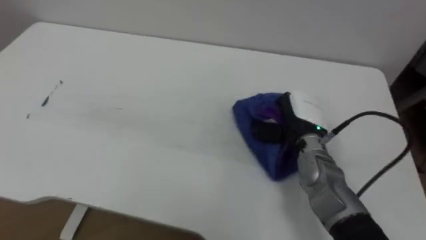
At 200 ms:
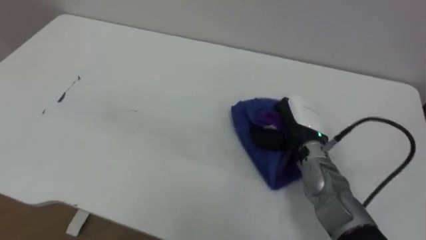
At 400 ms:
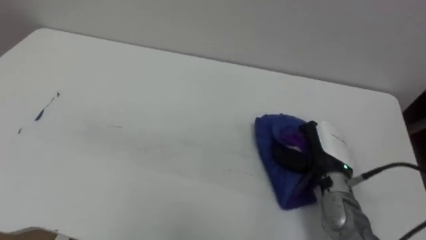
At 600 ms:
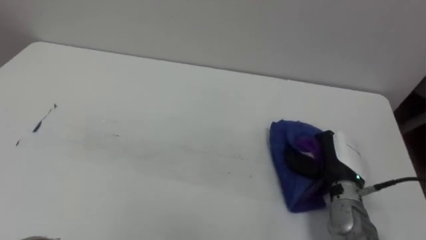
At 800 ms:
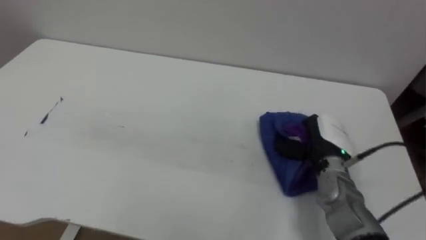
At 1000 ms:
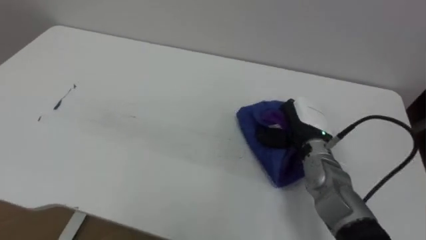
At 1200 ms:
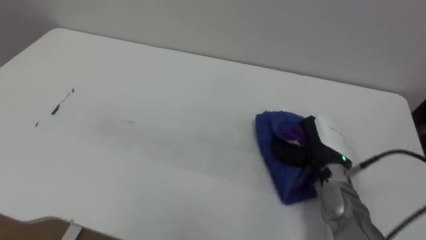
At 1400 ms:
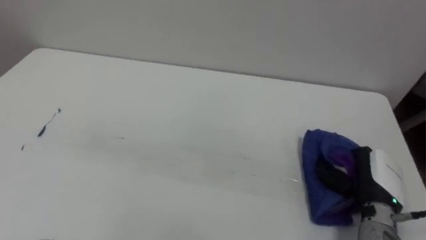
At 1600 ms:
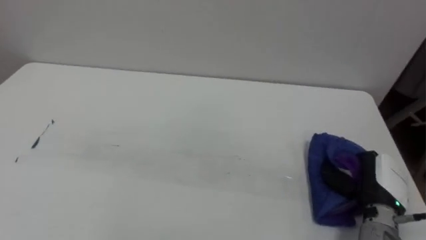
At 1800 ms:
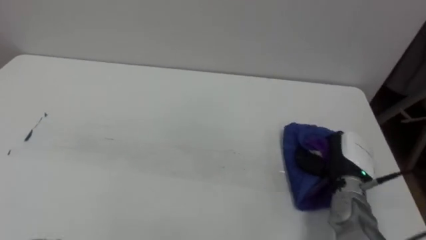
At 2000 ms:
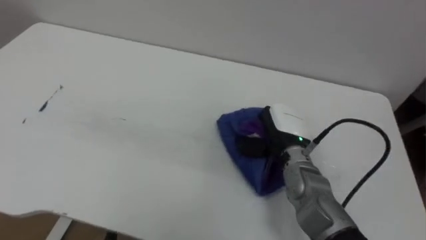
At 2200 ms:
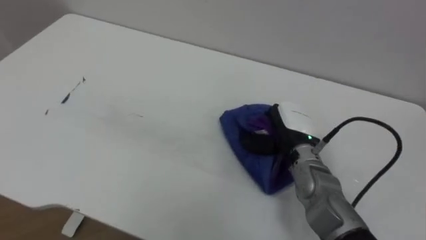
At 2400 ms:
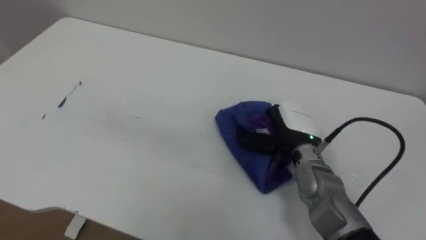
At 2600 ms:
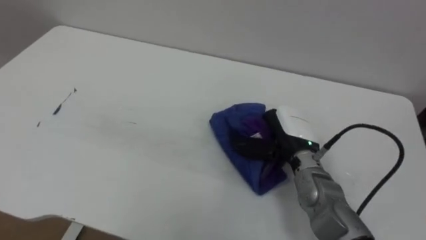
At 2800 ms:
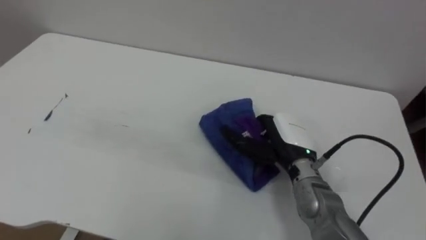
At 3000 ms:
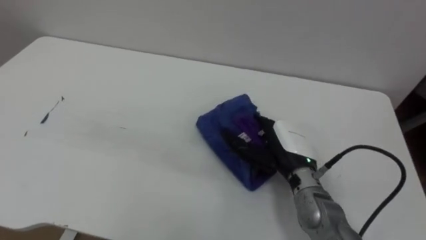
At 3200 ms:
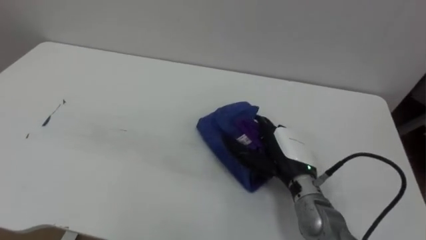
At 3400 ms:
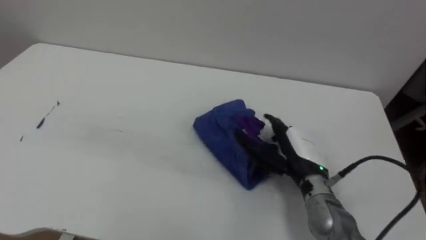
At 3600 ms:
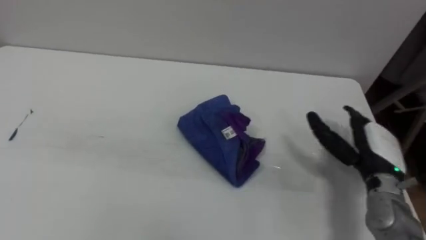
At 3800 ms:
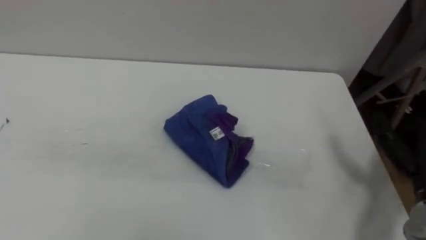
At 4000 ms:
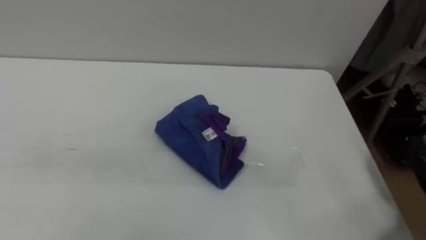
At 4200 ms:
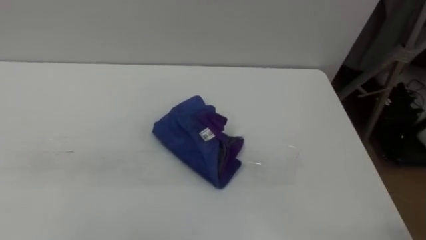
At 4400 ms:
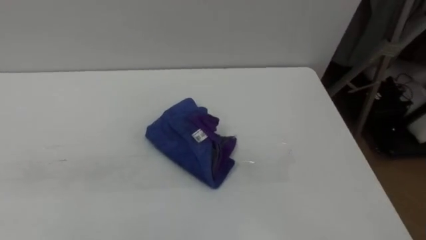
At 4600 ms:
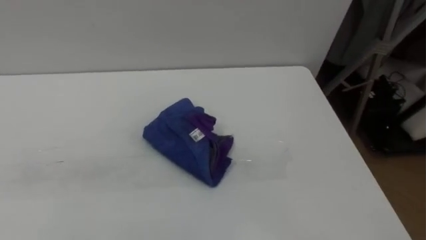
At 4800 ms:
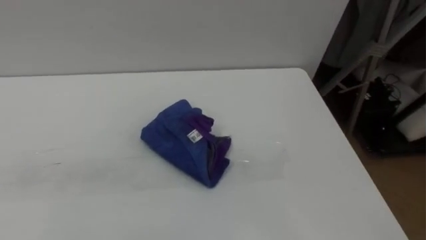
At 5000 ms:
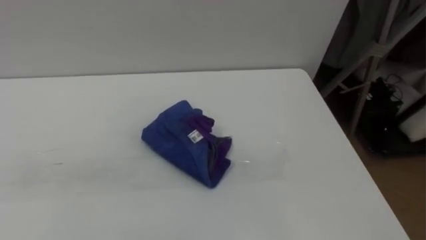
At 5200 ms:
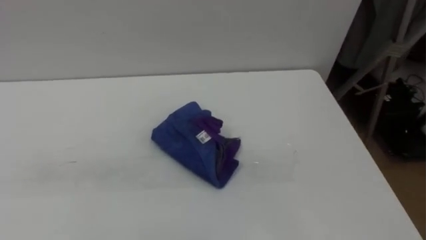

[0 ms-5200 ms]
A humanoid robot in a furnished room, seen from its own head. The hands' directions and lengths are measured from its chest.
Task of the whole recording: Wipe the blue pen marks off the table with the rag.
0 ms to 1800 ms: The right hand goes left and right, about 15 cm each way, reversing 3 times.
1800 ms to 3400 ms: The right hand moves to the left, approximately 10 cm, and opens its fingers.

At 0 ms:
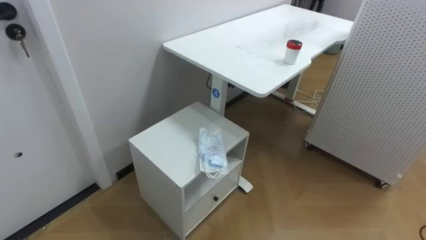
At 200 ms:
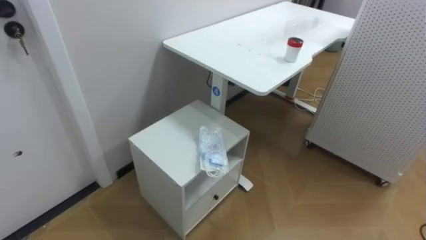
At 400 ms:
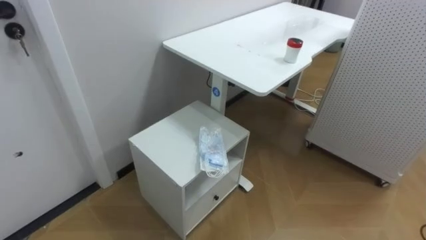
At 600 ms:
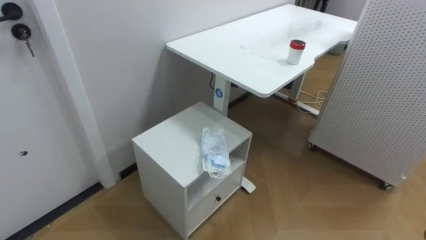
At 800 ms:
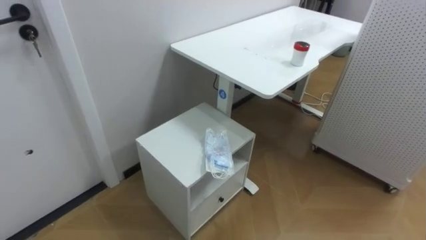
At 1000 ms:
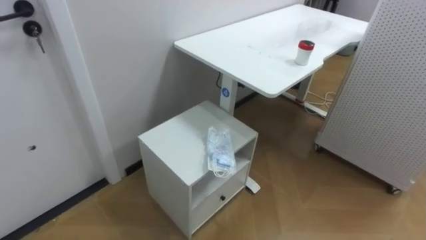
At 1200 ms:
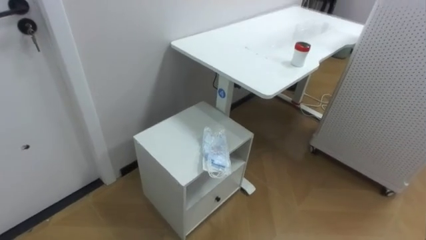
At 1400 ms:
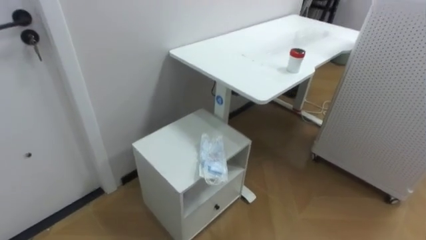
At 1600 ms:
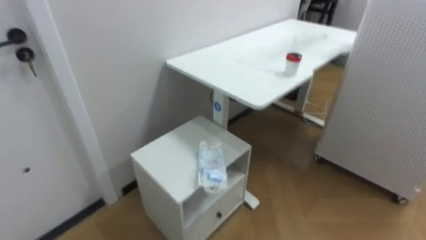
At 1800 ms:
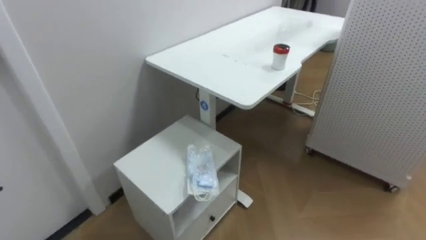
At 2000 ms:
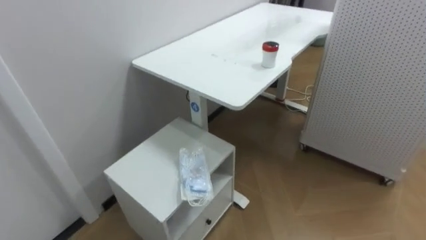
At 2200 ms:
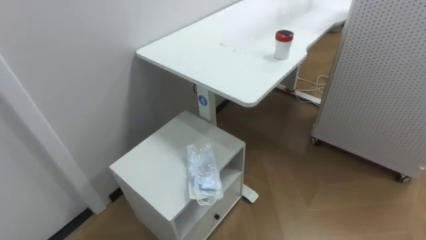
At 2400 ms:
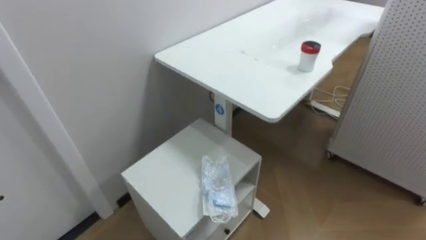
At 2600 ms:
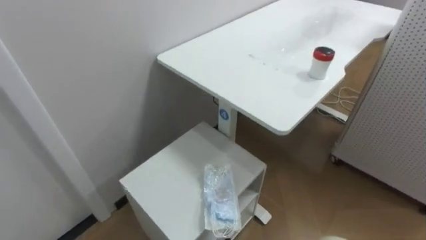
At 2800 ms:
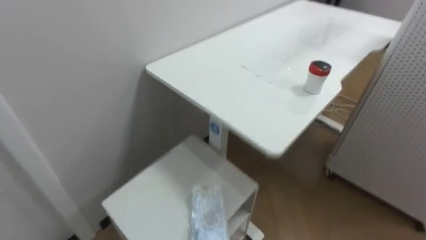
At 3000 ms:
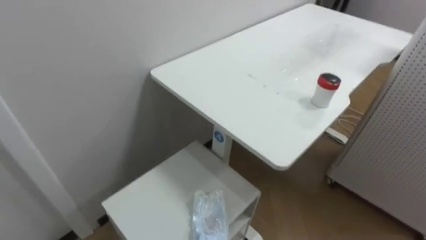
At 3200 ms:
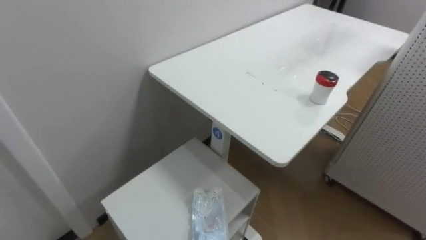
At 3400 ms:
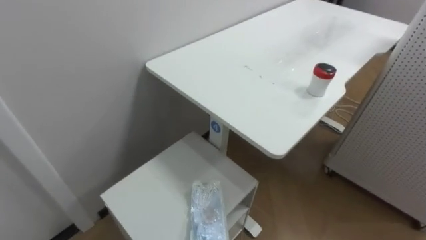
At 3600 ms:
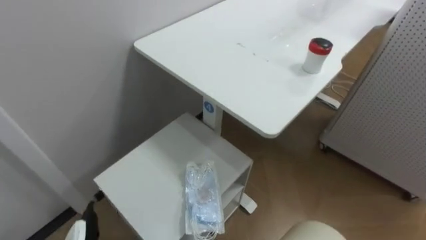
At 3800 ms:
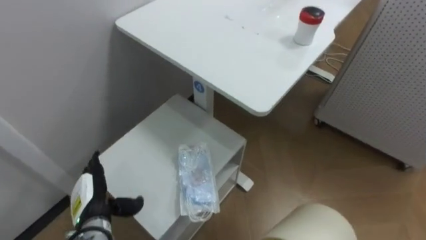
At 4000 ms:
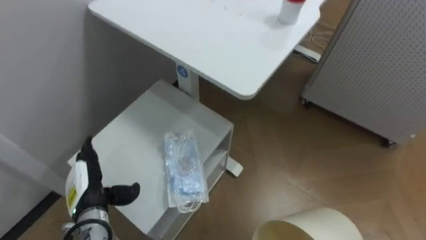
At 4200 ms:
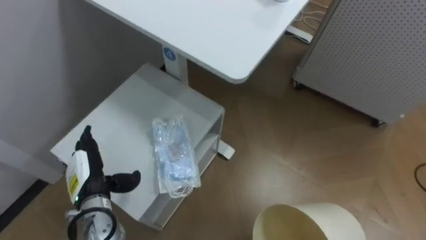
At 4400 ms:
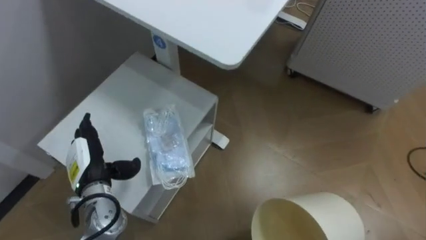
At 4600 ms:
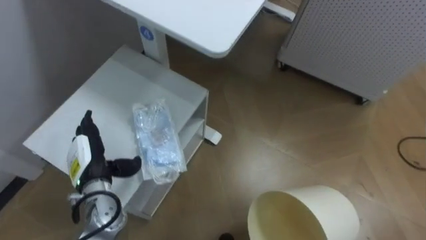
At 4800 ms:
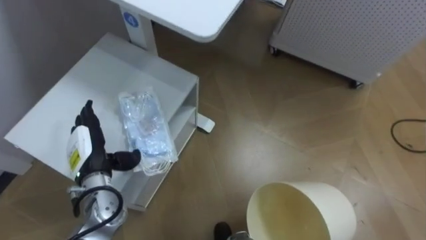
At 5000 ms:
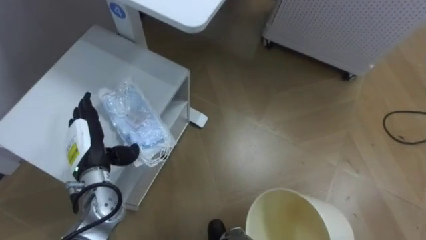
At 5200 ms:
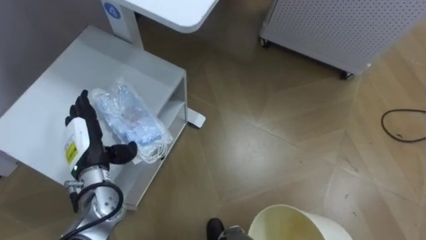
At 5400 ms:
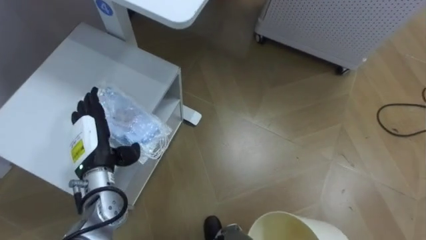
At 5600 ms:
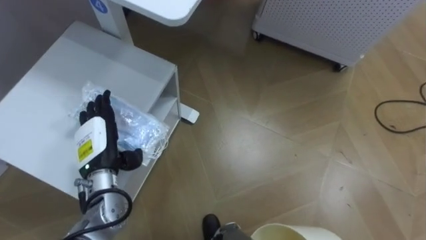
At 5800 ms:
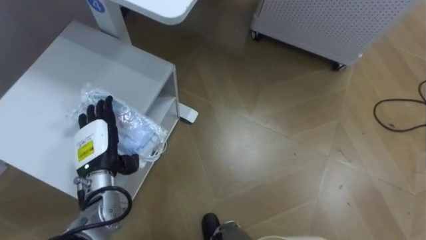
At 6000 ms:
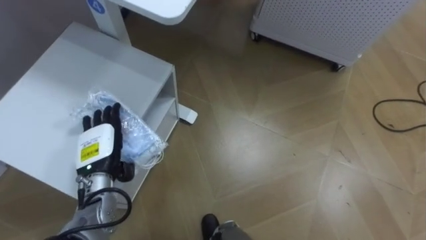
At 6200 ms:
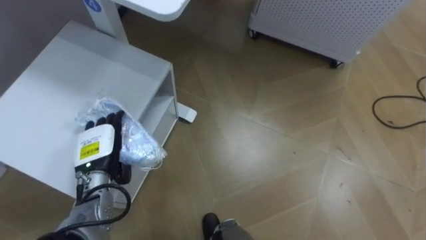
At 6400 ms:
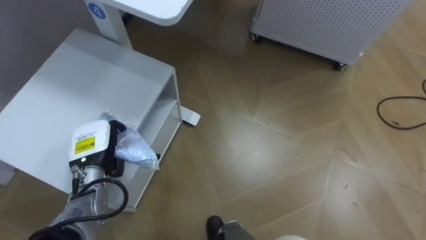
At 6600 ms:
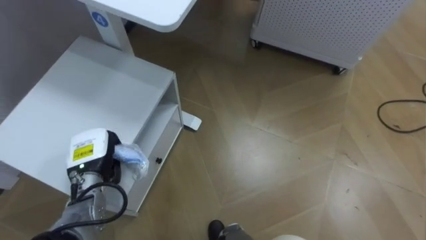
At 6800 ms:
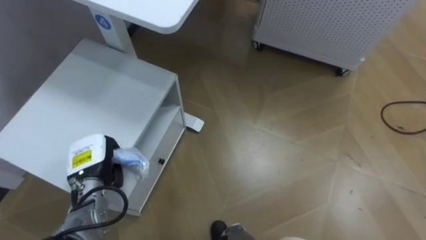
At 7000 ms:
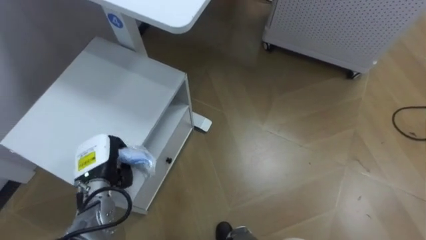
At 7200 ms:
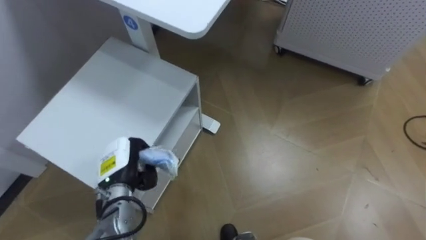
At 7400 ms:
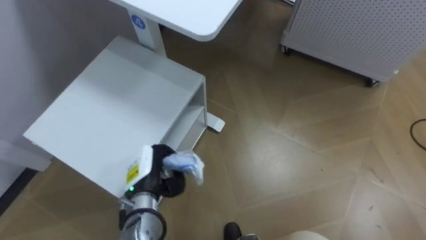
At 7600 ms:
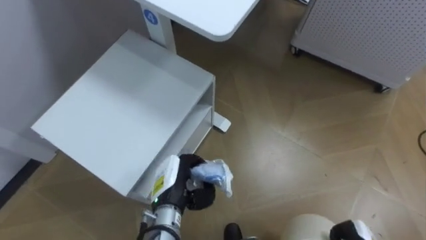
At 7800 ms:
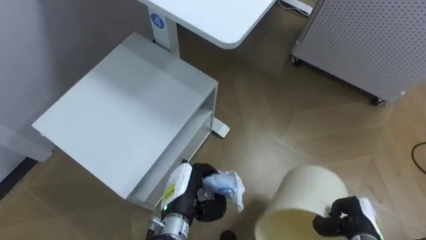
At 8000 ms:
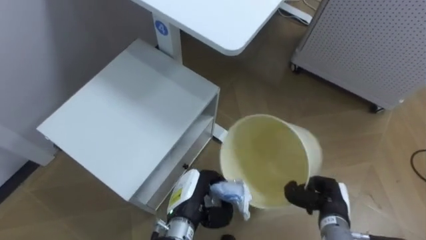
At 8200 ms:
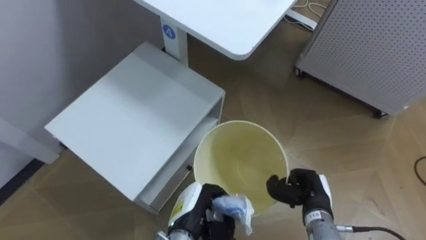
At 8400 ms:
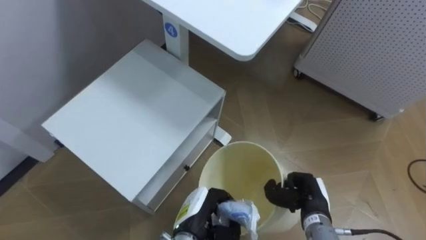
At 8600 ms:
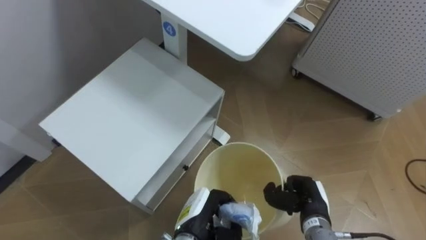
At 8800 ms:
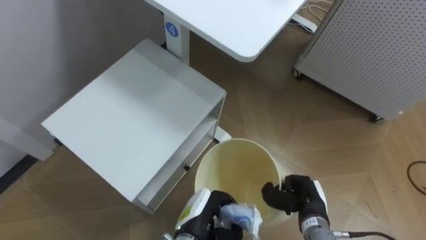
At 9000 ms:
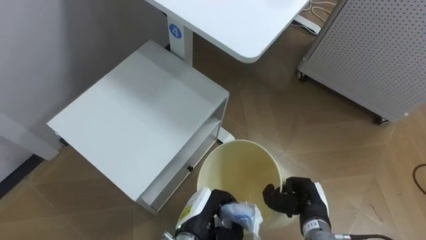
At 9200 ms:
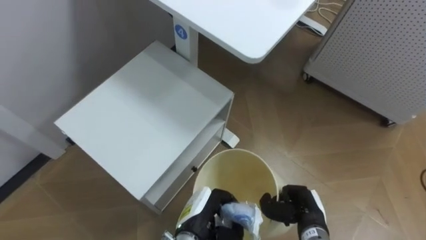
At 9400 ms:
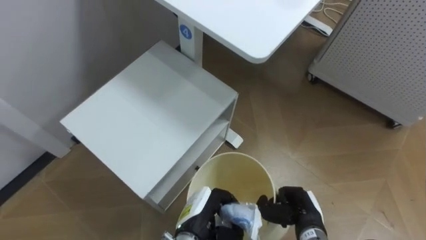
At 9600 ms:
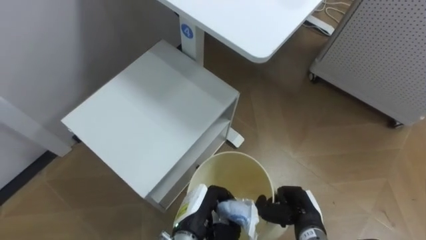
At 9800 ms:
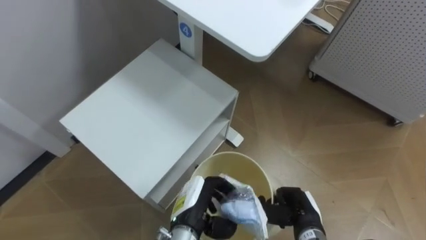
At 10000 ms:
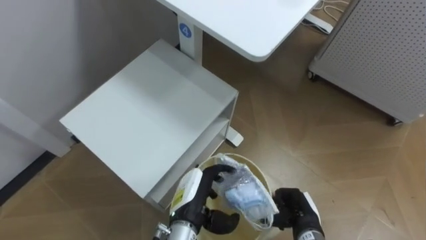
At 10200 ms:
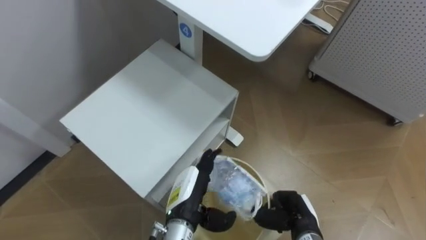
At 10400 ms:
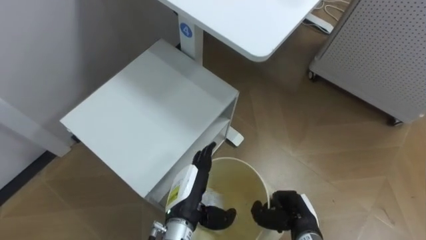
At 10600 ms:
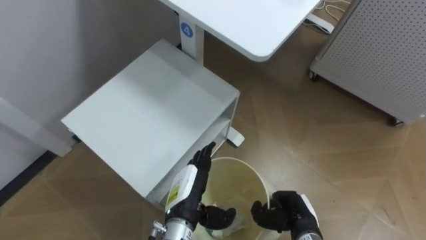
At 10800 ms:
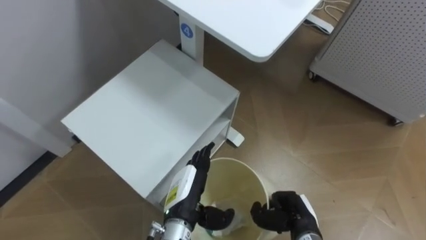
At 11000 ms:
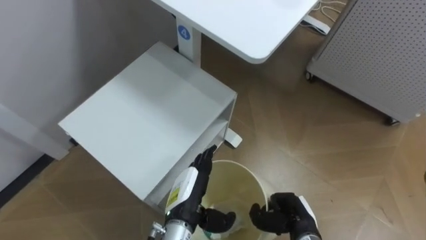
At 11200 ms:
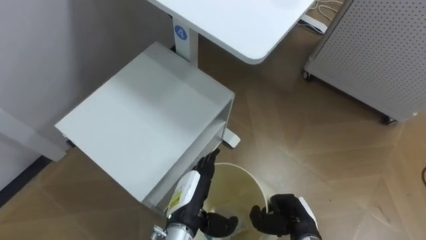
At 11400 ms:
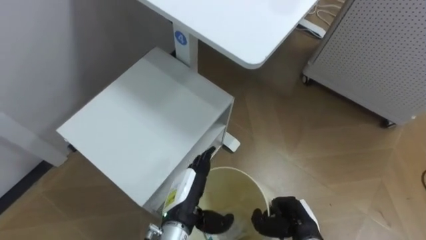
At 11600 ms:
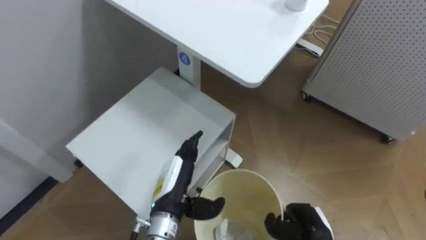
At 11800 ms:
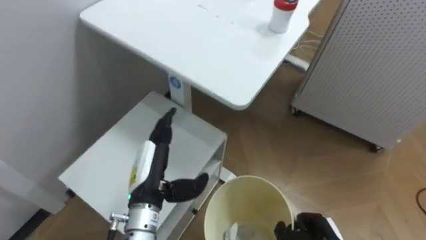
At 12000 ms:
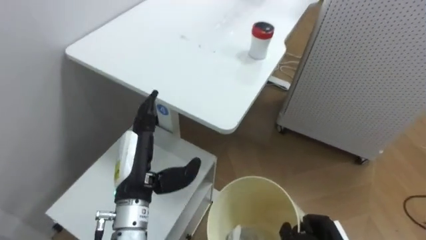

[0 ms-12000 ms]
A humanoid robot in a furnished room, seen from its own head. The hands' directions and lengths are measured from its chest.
Task of the whole recording: Pick up the light blue package, the candy box, and the dark blue package separately, and put them into the trash can held in your right hand.
6000 ms to 7600 ms: The left hand goes approximately 15 cm to the right, and closes.
7600 ms to 9000 ms: The left hand heads to the right, covering about 5 cm.
9000 ms to 10400 ms: The left hand changes place by some 5 cm, and opens its fingers.
10400 ms to 12000 ms: The left hand goes about 15 cm upward and to the left.
